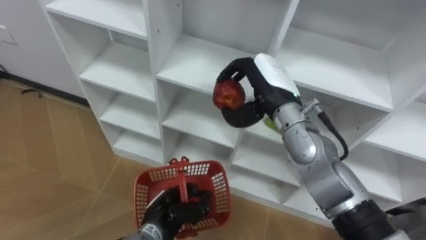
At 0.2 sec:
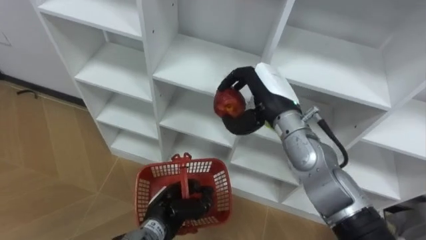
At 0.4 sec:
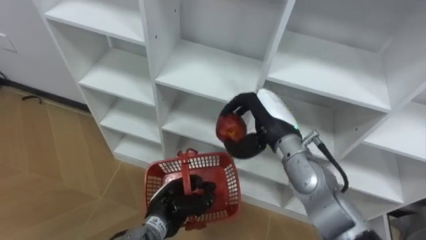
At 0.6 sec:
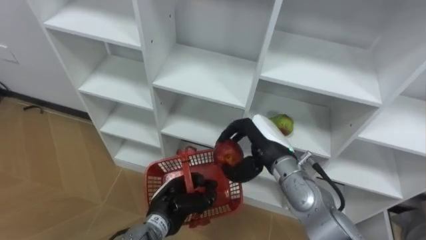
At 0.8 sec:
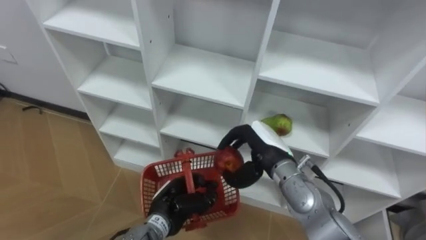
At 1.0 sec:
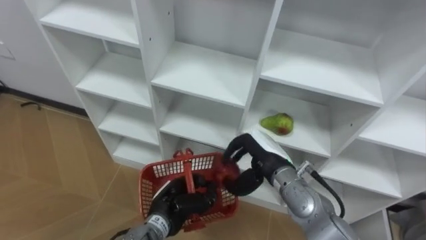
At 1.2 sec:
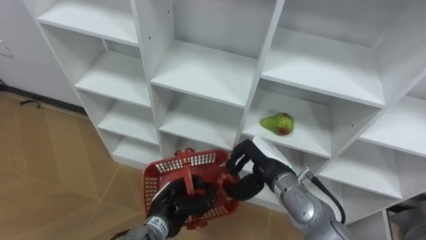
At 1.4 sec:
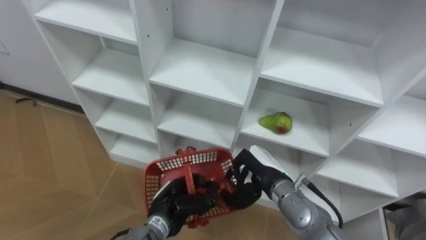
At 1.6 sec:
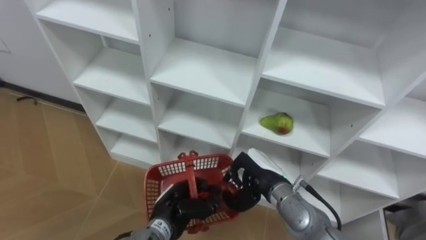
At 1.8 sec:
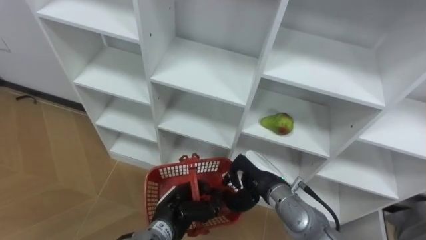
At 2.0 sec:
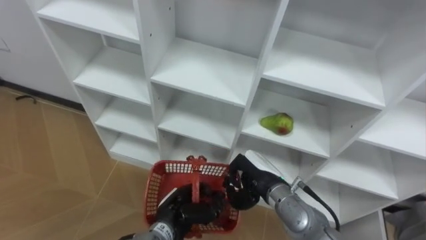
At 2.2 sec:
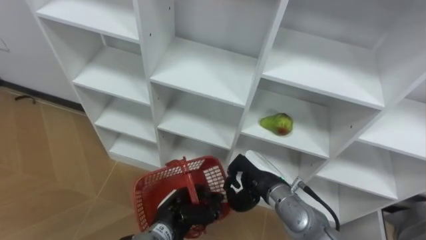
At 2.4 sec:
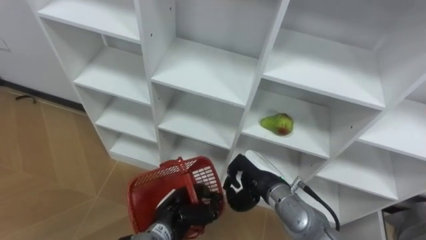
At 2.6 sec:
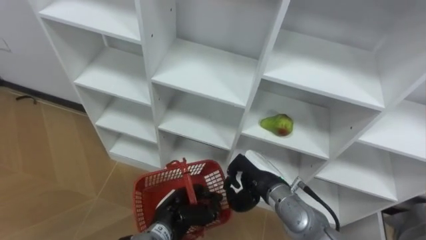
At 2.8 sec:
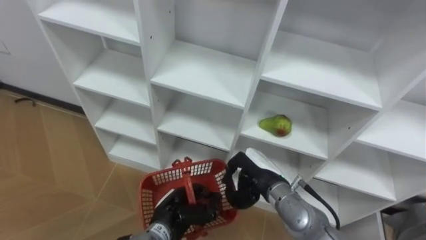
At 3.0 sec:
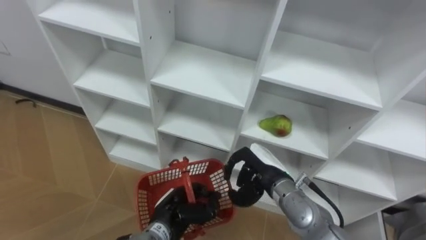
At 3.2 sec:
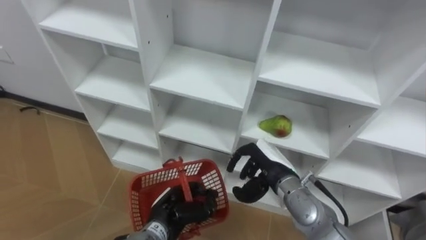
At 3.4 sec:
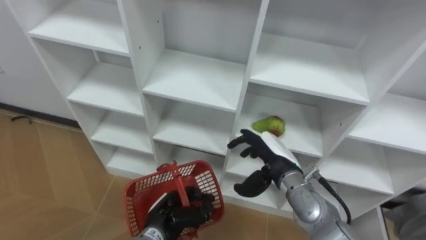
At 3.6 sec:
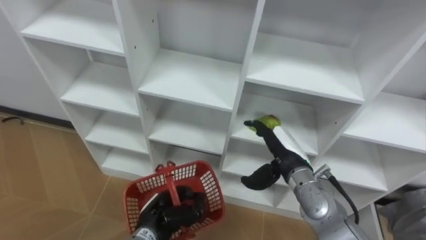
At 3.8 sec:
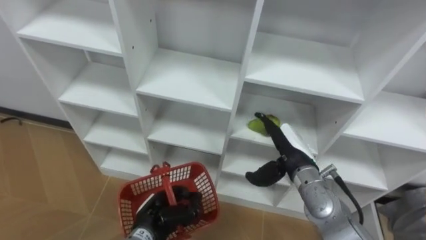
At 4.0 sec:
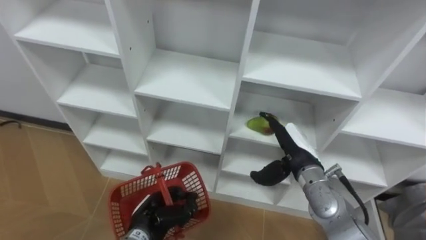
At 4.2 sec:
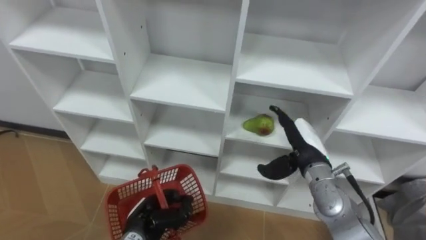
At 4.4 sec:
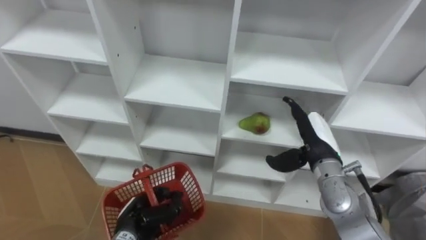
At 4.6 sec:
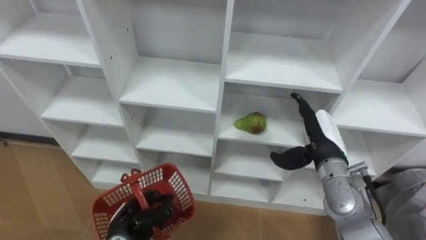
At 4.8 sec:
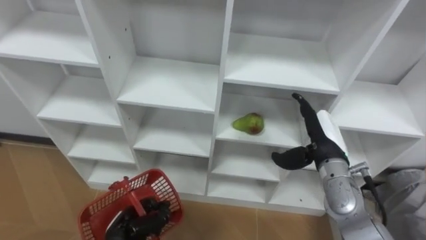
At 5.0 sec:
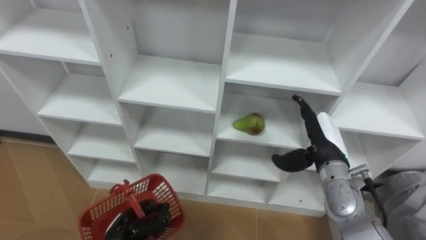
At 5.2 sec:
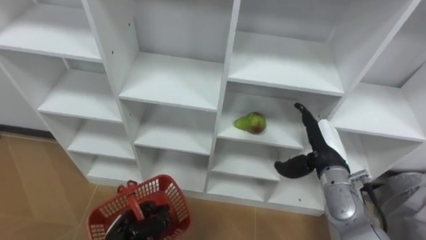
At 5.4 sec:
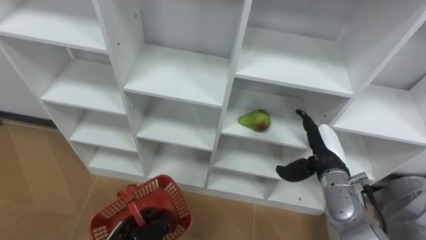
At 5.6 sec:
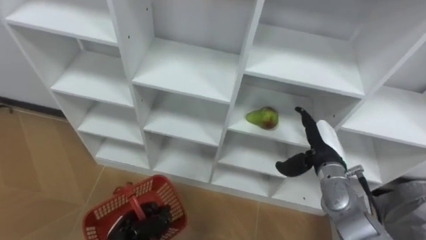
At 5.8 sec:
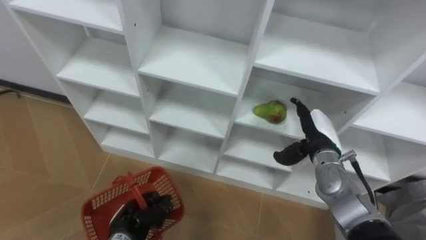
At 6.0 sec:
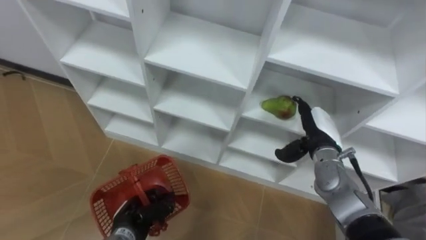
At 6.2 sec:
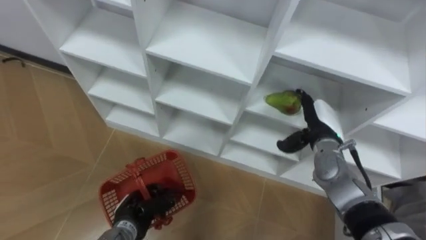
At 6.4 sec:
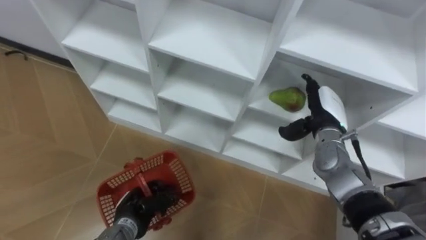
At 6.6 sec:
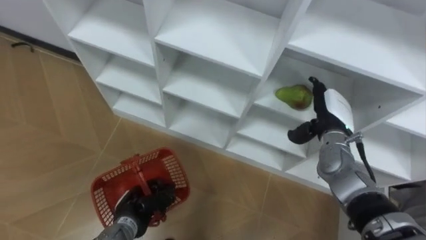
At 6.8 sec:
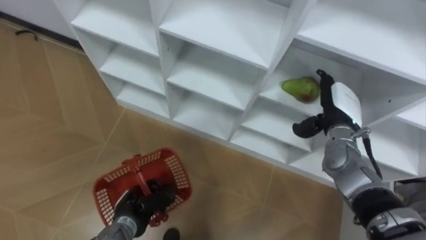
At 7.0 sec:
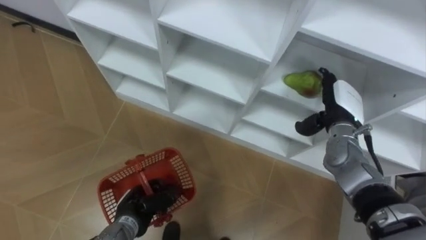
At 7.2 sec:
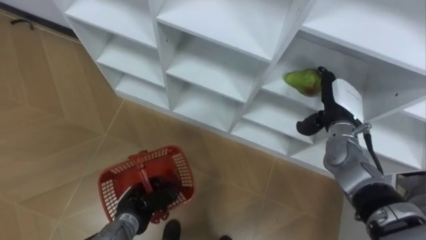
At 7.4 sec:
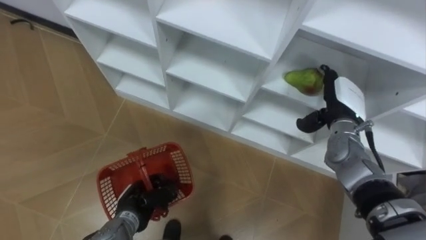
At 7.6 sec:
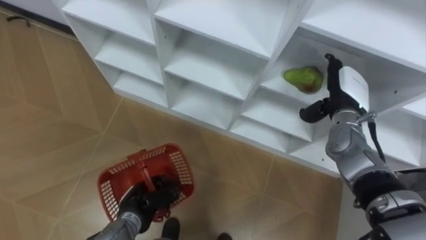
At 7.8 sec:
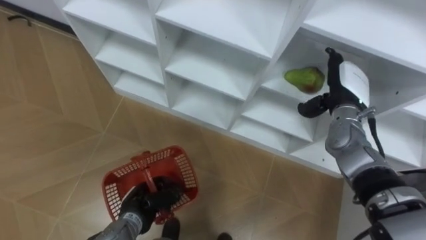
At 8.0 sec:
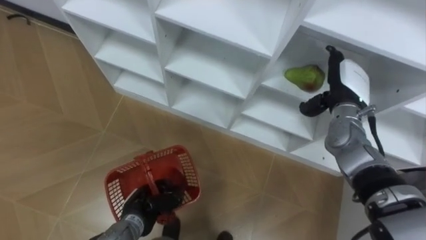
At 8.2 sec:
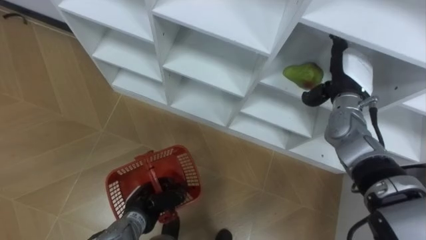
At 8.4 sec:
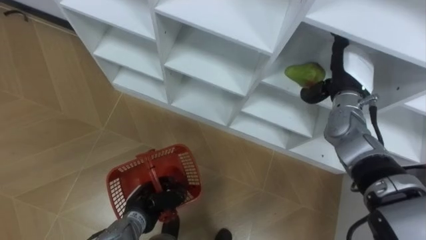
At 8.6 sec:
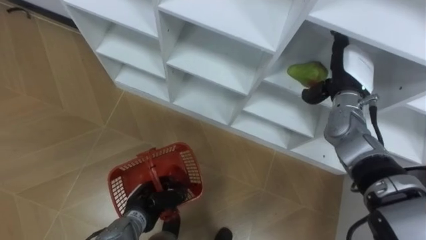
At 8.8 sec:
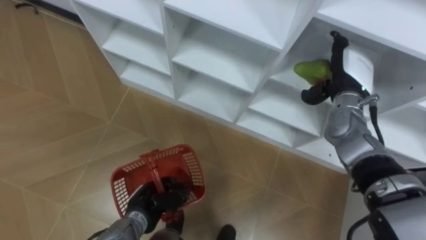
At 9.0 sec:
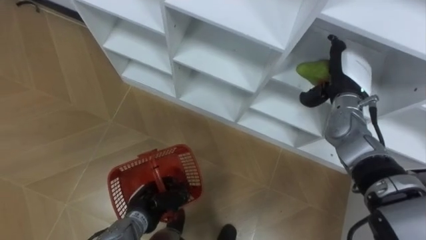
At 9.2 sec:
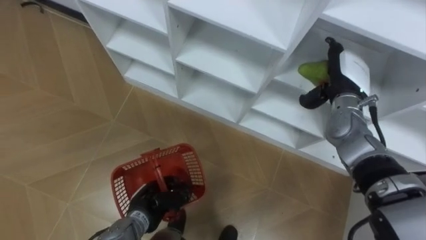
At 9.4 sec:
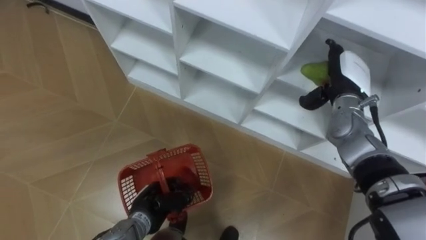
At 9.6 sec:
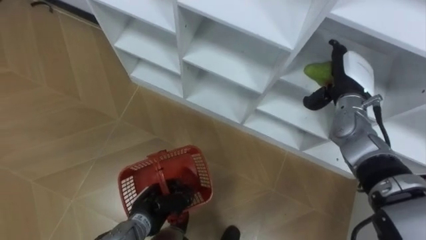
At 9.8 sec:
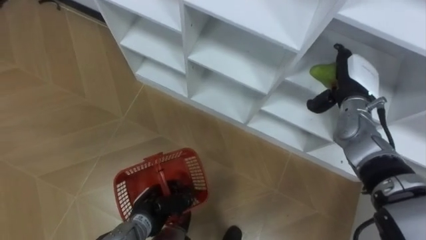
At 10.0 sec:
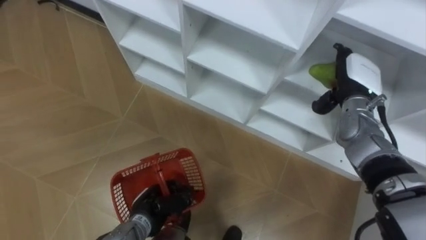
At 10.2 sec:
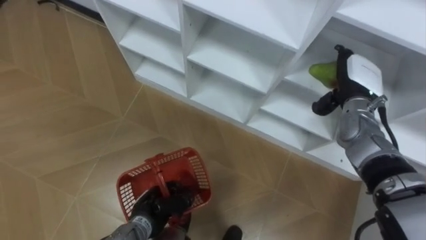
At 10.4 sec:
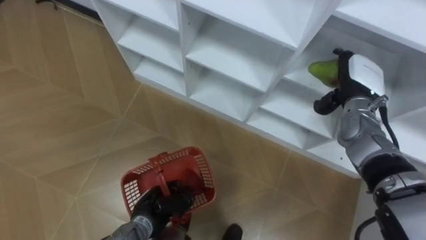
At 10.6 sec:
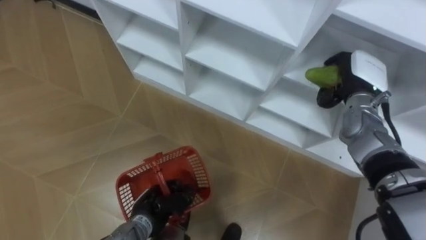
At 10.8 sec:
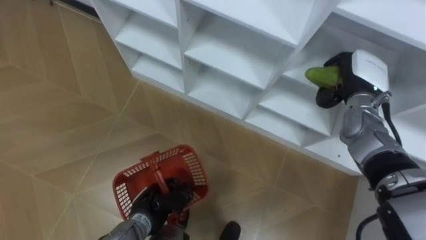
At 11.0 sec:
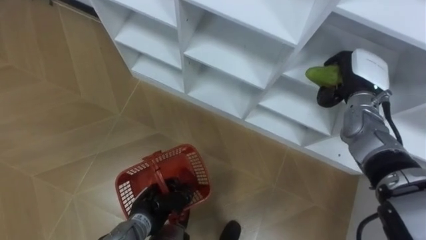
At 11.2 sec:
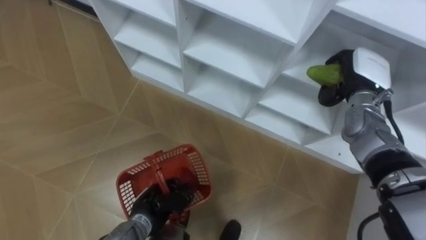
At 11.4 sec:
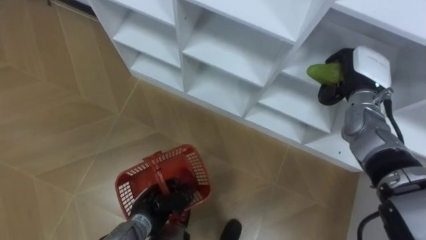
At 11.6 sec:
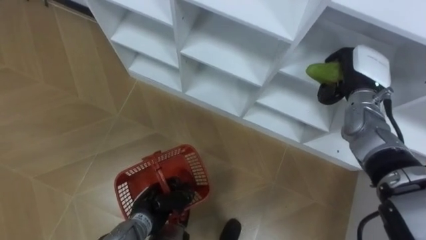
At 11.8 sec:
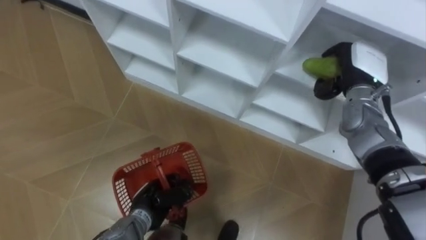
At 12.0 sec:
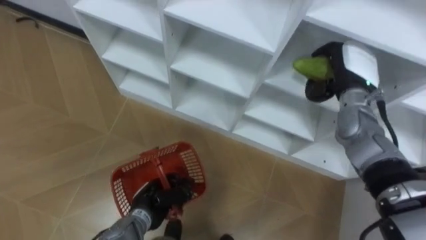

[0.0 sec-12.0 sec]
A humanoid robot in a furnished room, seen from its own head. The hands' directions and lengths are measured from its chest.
Task of the whole recording: Hold the basket and collect the fruits from 3 different cells of the closet into it.
0.0 sec to 1.6 sec: The right hand travels downward and backward by approximately 20 cm.
3.0 sec to 4.4 sec: The right hand moves to the right, about 10 cm, and opens up; the left hand shifts about 5 cm to the left.
6.0 sec to 7.6 sec: The right hand goes some 5 cm upward.
10.4 sec to 12.0 sec: The right hand closes its fingers.

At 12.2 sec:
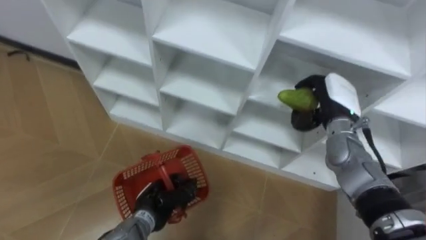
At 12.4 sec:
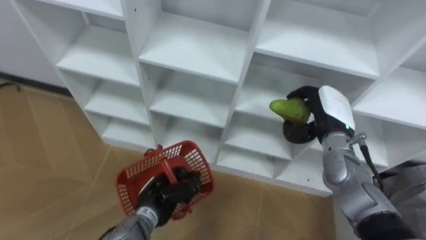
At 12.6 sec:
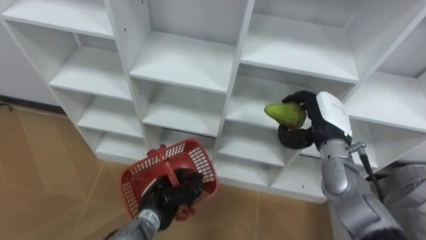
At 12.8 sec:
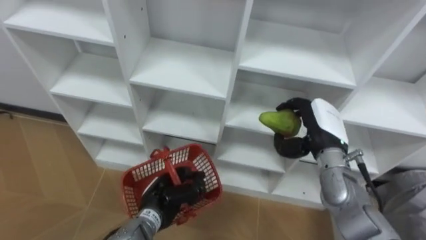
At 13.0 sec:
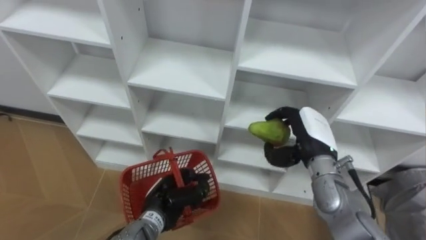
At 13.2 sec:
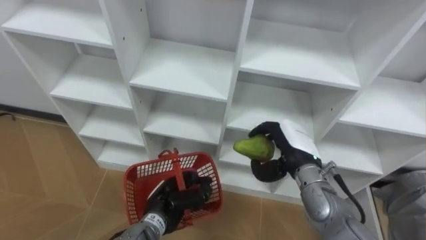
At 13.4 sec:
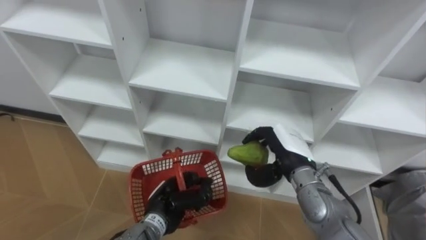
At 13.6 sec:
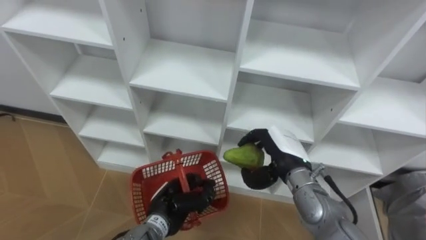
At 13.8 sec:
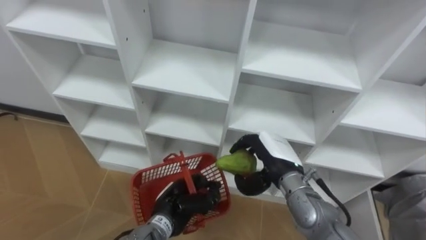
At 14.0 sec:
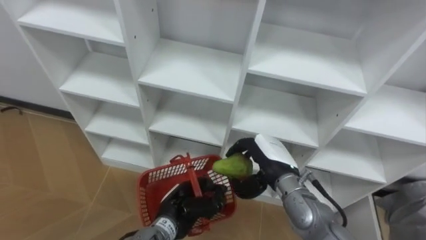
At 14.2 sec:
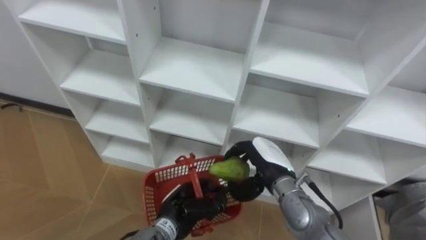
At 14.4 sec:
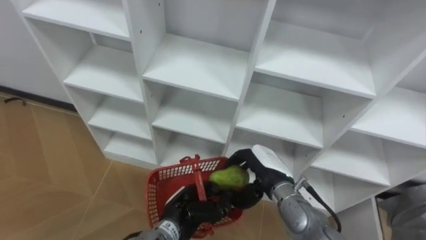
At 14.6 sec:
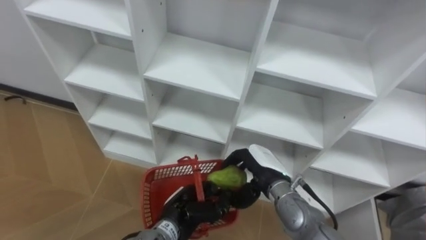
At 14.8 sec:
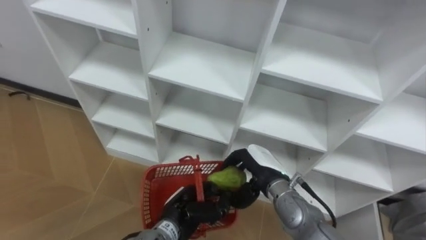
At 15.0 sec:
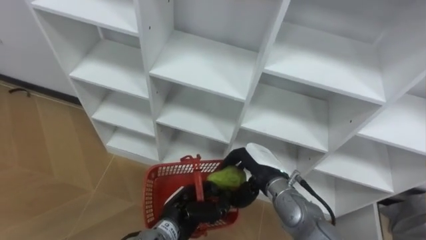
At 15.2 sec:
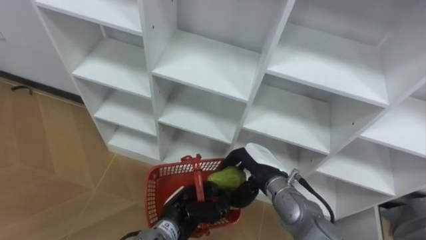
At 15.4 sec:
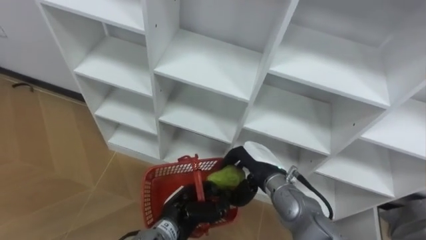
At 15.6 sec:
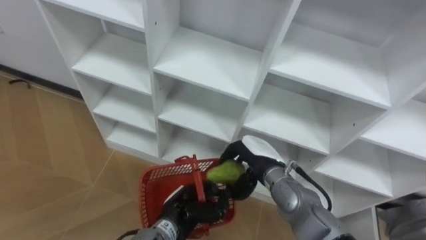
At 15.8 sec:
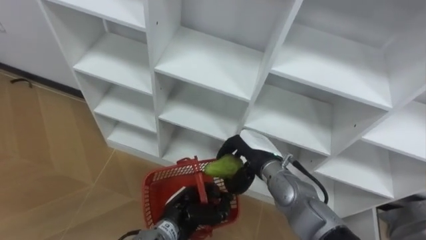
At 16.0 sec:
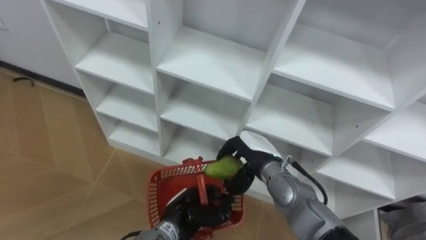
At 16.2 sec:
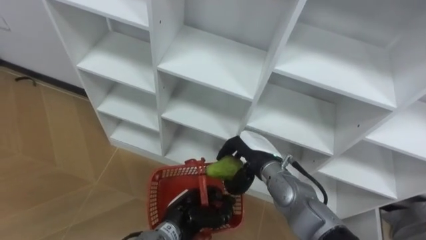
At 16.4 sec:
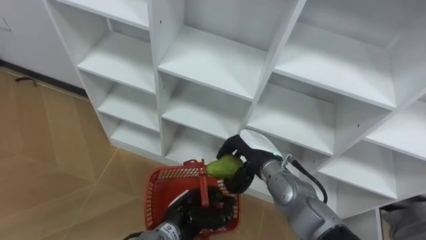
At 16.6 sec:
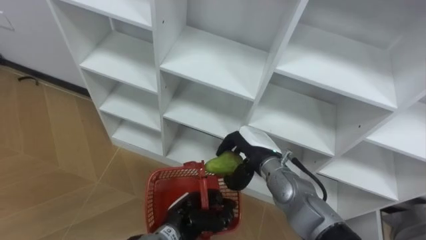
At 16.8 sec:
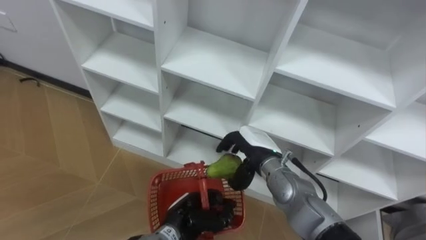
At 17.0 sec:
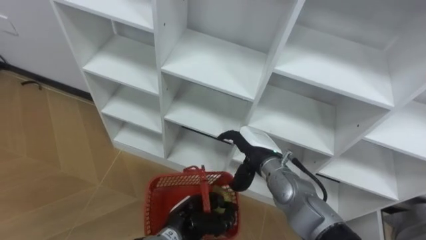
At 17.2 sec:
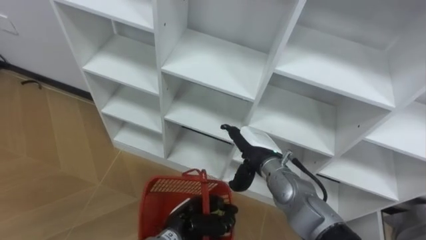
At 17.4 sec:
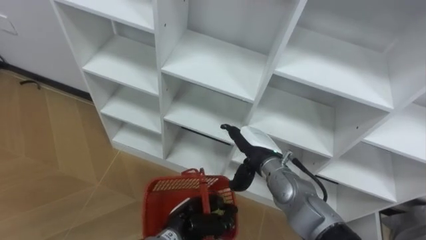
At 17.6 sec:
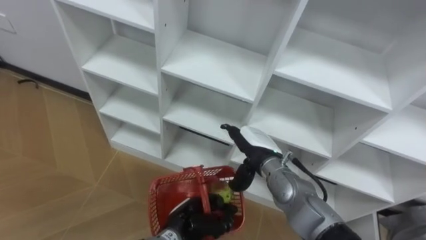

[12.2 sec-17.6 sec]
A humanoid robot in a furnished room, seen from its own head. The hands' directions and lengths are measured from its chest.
Task of the whole recording: Hold the basket and collect the fruits from 3 different cells of the closet into it.
12.2 sec to 13.6 sec: The right hand goes about 15 cm to the left, backward and downward.
13.6 sec to 15.0 sec: The right hand ends up roughly 5 cm from where it was.
16.2 sec to 17.6 sec: The right hand opens up.
